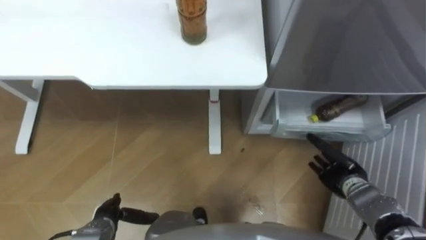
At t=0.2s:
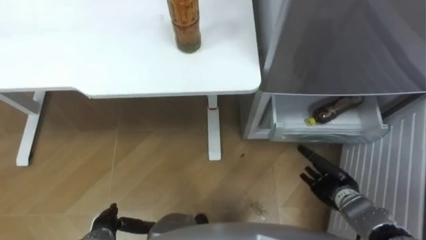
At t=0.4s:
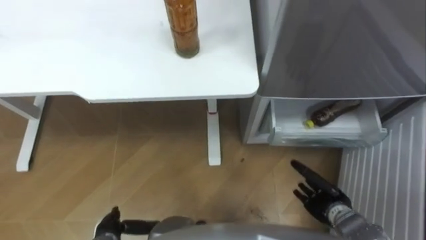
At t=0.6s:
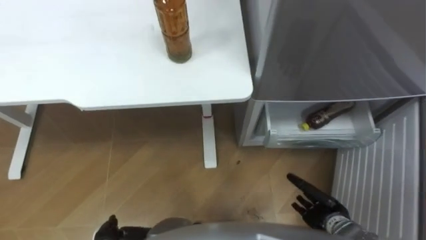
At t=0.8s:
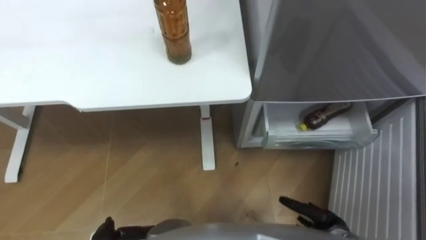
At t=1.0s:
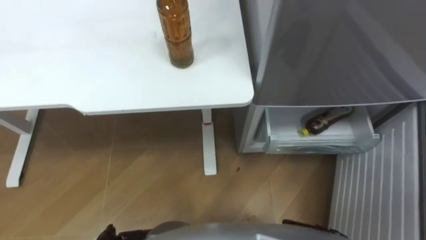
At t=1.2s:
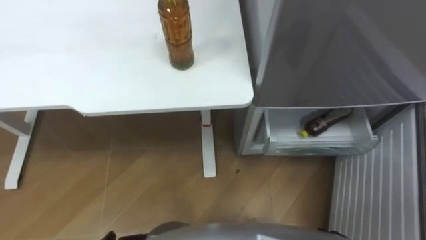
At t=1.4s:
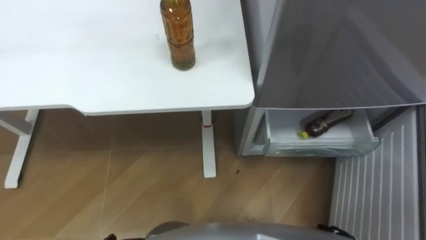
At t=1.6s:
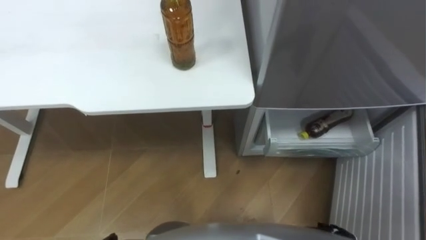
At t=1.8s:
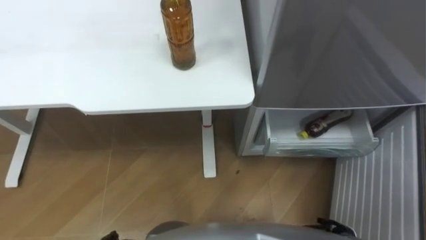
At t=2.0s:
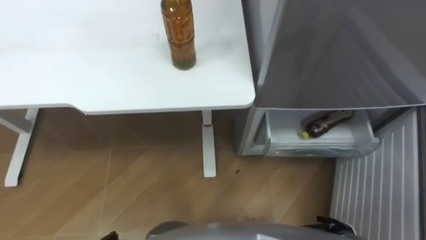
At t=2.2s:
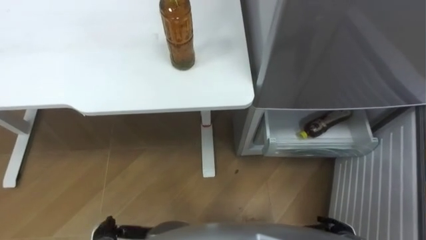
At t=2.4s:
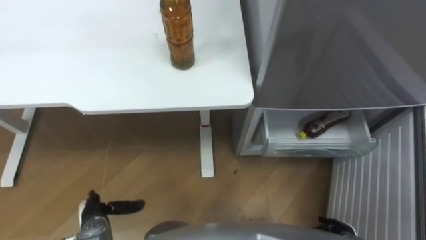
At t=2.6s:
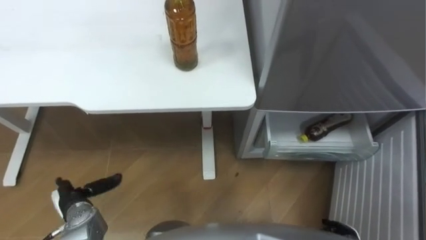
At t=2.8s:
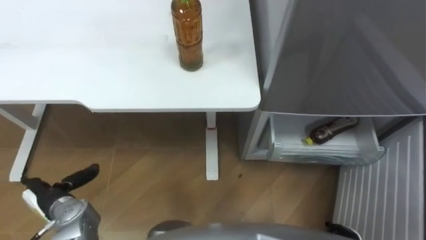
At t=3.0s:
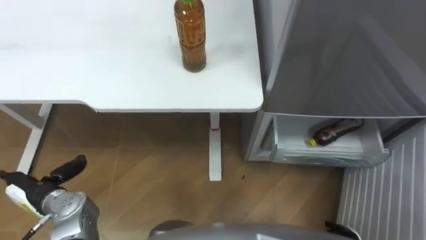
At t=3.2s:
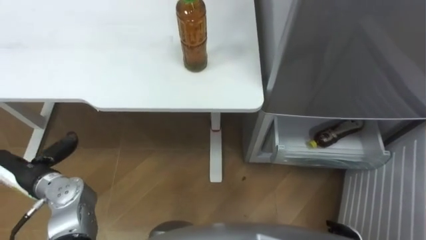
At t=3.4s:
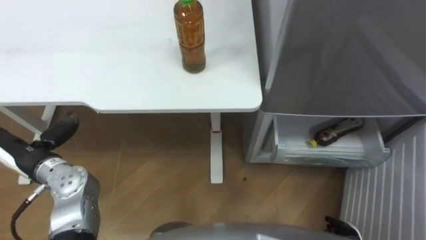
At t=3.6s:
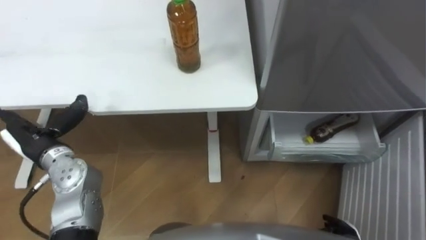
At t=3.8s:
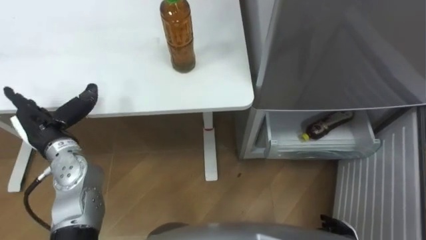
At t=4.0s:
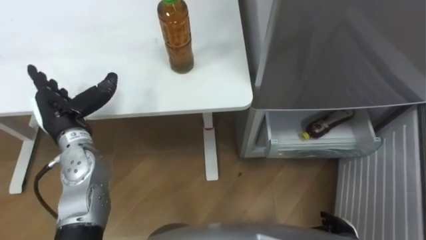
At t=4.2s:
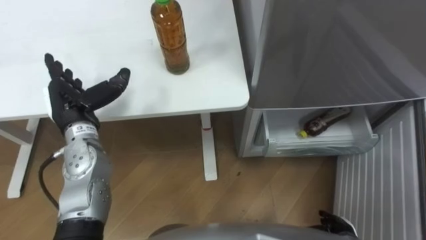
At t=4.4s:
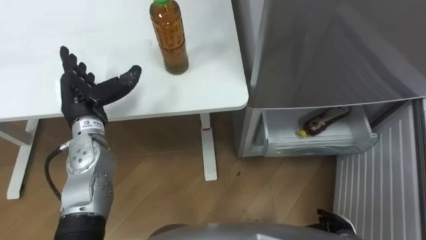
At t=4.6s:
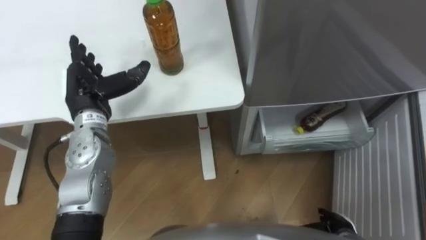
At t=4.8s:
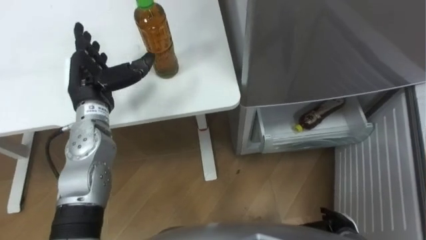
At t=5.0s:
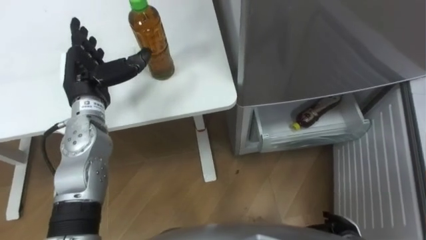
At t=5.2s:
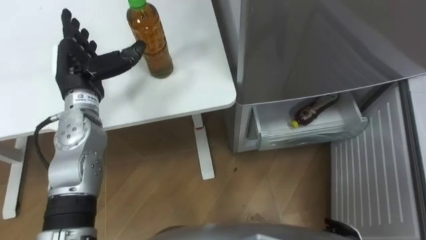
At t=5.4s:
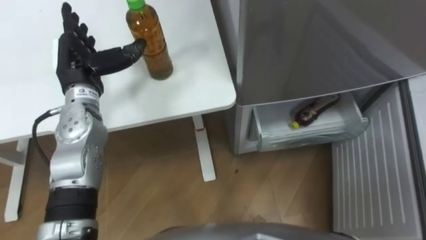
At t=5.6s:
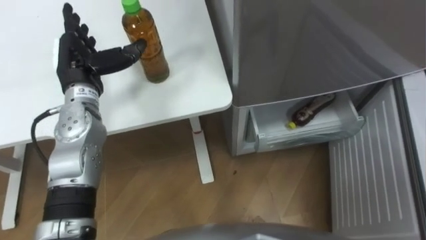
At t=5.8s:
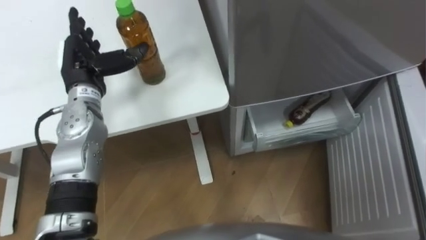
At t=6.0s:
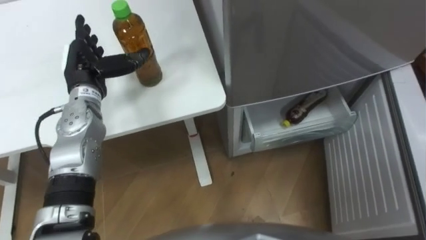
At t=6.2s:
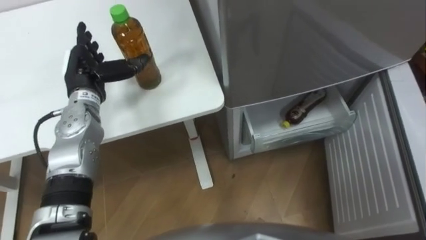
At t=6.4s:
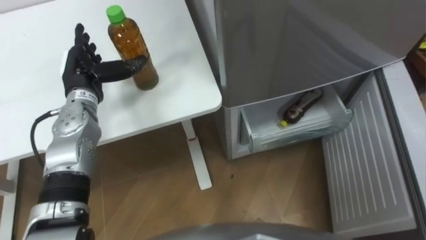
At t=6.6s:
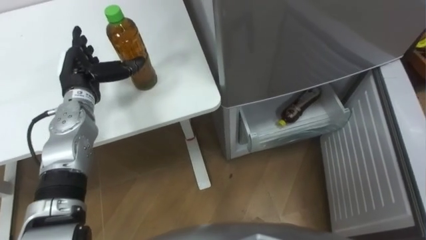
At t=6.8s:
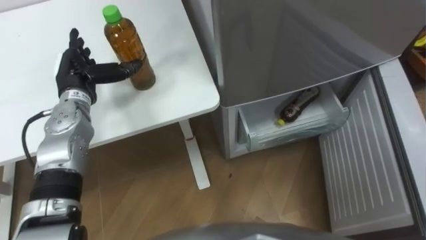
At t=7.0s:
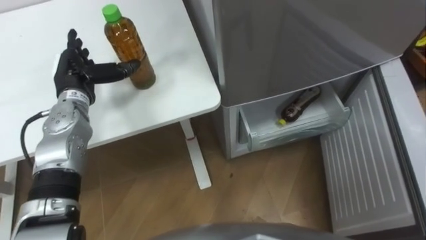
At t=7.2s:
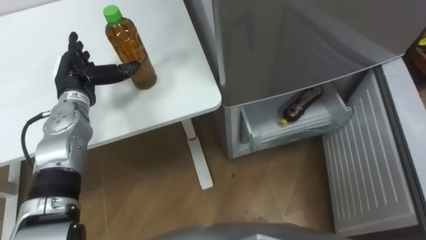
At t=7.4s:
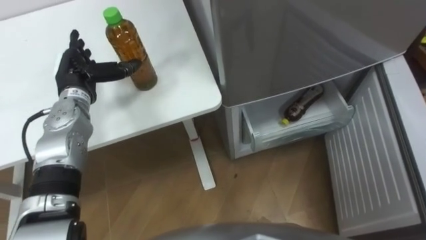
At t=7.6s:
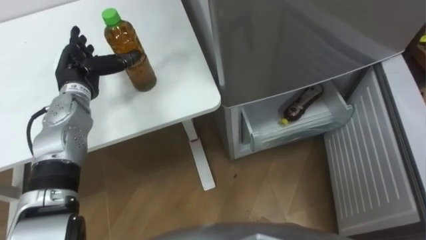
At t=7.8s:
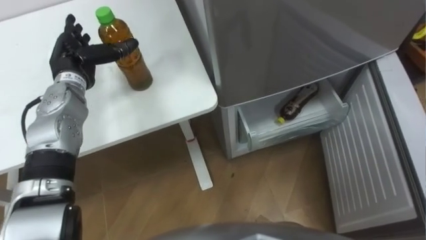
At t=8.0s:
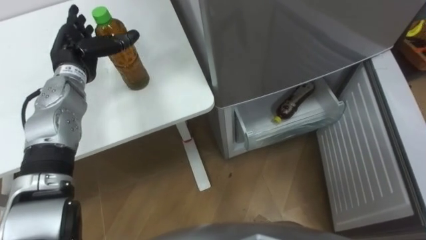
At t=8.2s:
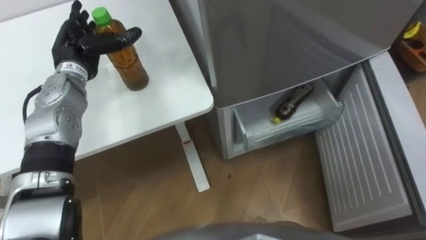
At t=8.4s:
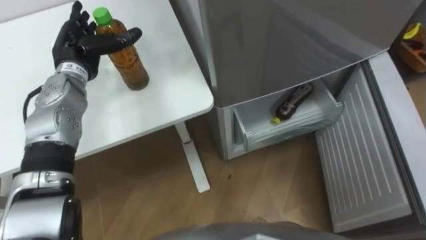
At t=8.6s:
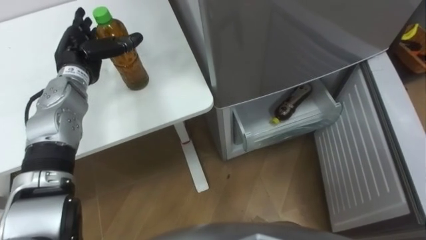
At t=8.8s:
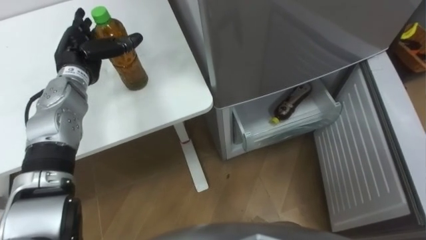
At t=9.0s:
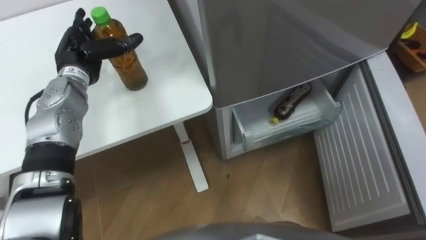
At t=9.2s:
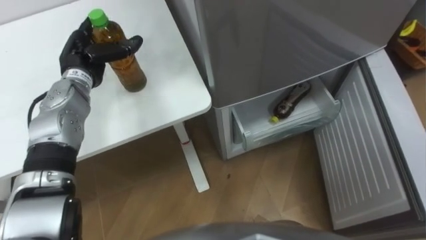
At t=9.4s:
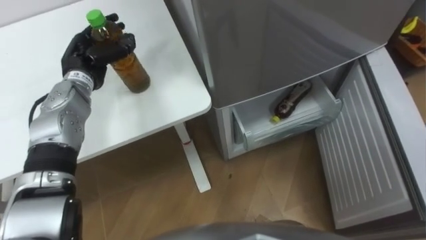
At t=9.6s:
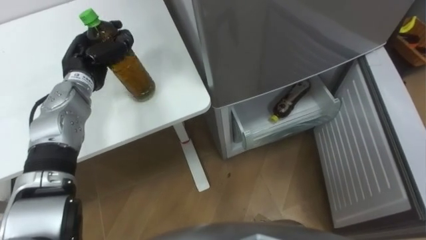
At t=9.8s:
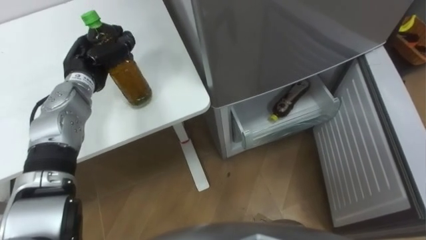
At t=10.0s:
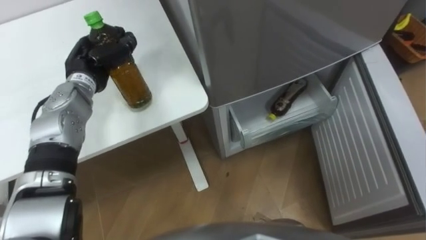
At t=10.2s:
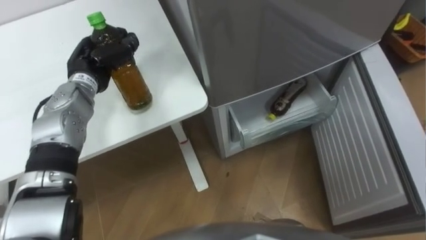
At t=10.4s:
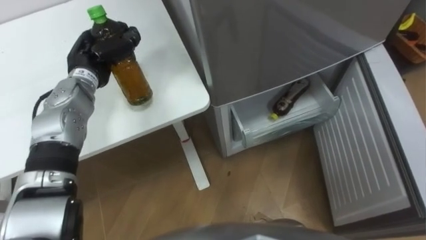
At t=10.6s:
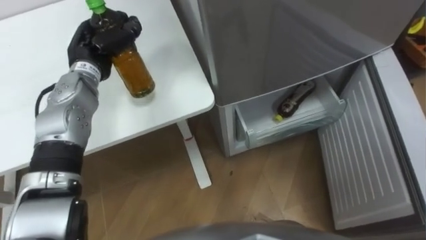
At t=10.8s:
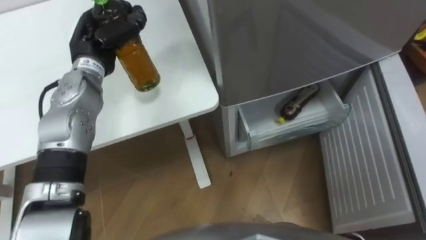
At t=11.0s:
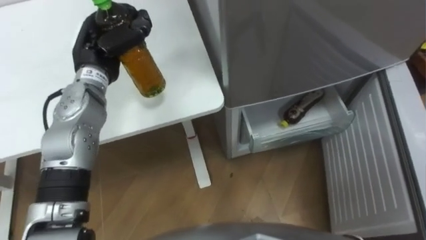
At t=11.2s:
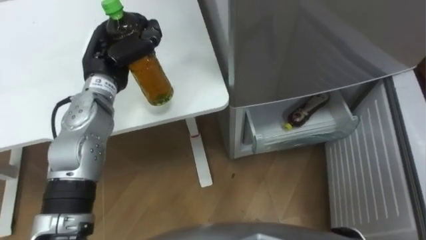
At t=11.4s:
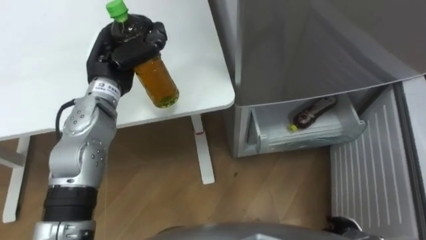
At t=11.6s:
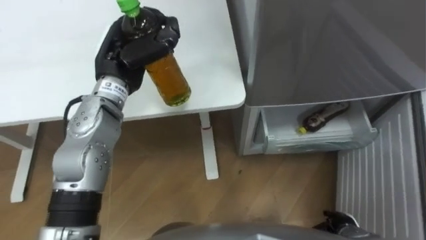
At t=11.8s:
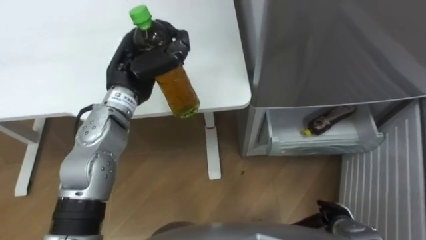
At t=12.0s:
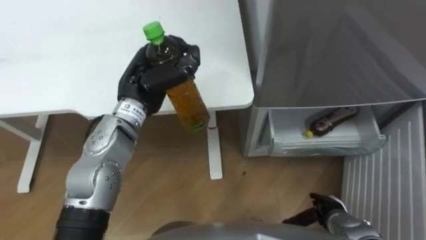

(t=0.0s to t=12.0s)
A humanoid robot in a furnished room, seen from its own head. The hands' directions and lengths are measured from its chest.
Task of the whole recording: Place the drink on the table on the bottom shelf of the refrigerator, then close the drawer and the refrigerator door.
t=3.0s - t=4.4s: The left hand moves forward, upward and to the right, some 20 cm.
t=4.4s - t=6.0s: The left hand goes about 5 cm forward.
t=9.0s - t=10.4s: The left hand closes its fingers.
t=10.4s - t=12.0s: The left hand shifts some 15 cm to the right and backward.

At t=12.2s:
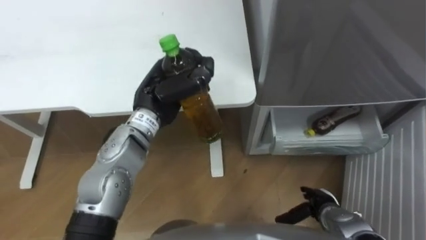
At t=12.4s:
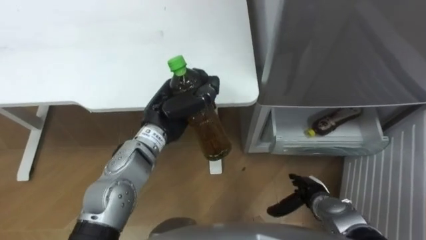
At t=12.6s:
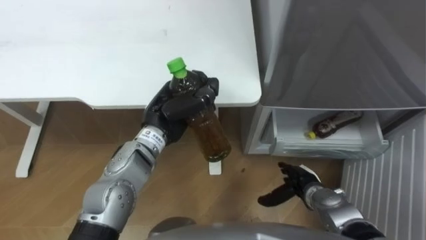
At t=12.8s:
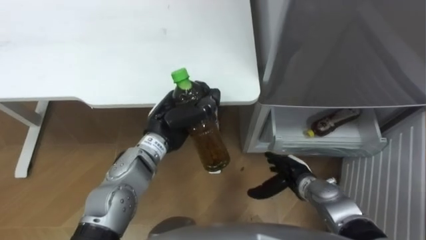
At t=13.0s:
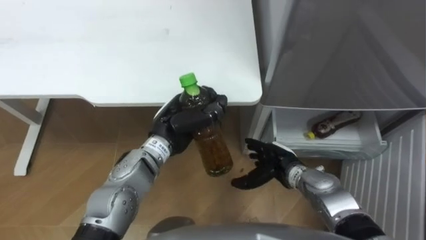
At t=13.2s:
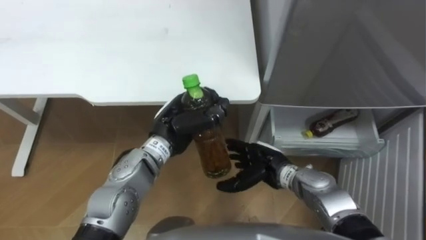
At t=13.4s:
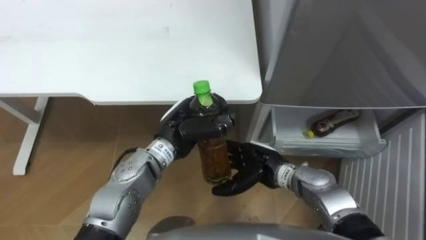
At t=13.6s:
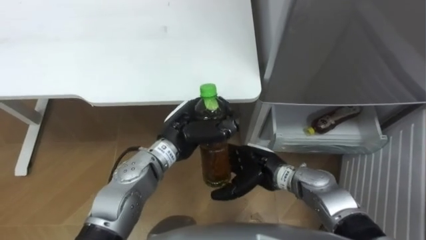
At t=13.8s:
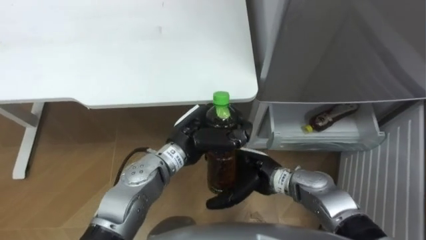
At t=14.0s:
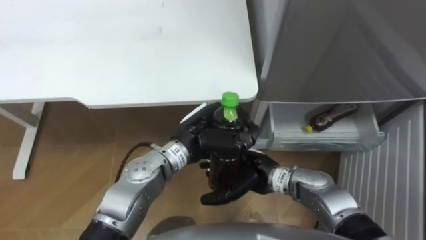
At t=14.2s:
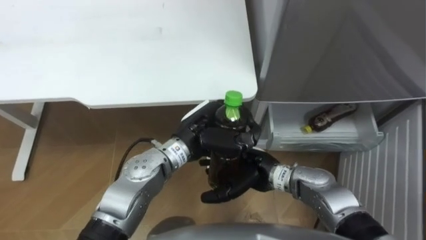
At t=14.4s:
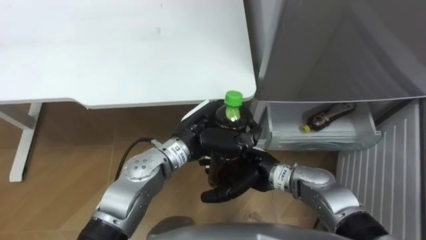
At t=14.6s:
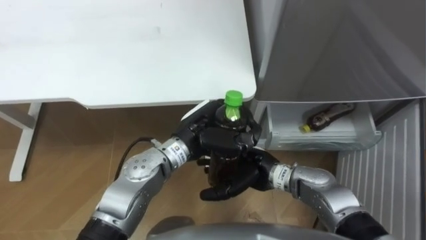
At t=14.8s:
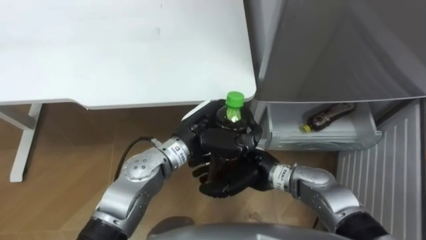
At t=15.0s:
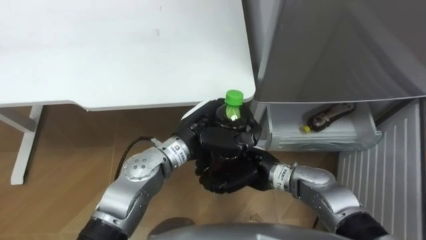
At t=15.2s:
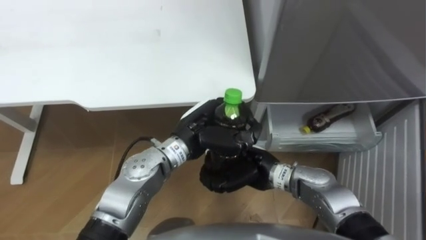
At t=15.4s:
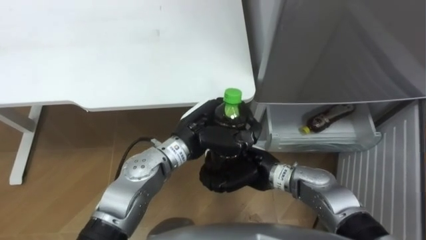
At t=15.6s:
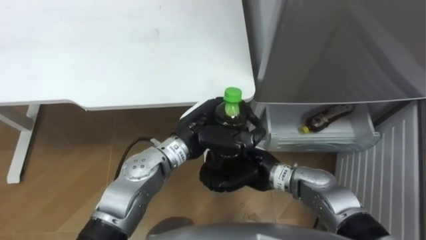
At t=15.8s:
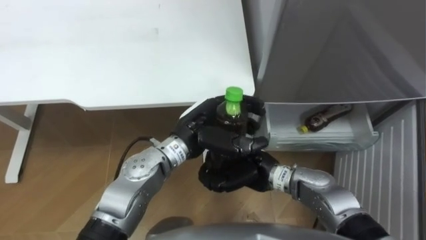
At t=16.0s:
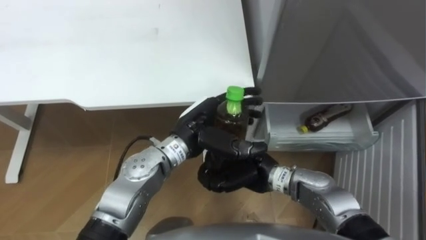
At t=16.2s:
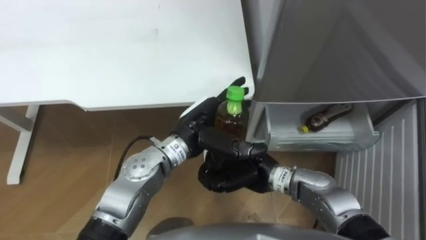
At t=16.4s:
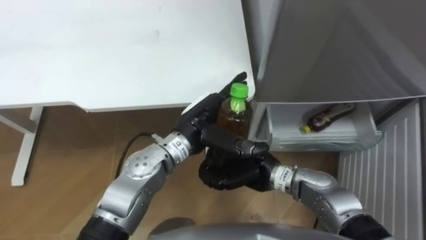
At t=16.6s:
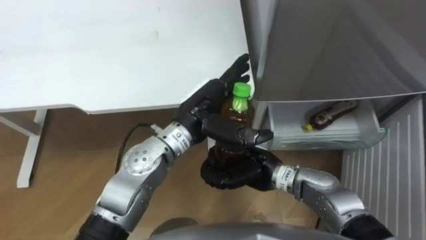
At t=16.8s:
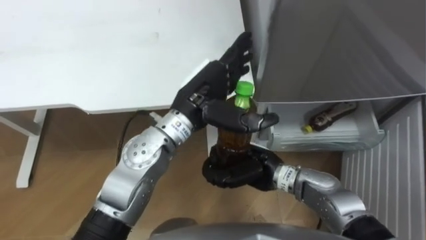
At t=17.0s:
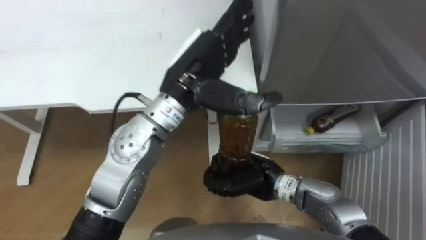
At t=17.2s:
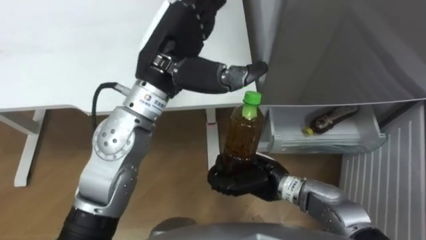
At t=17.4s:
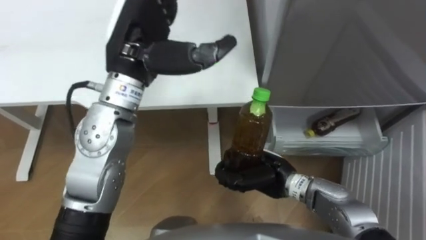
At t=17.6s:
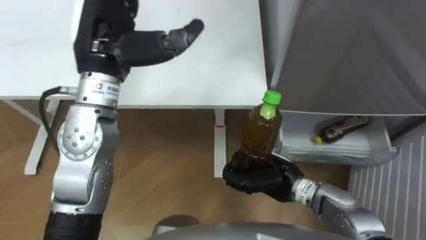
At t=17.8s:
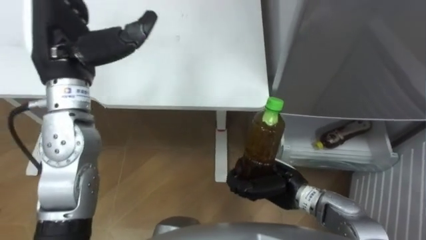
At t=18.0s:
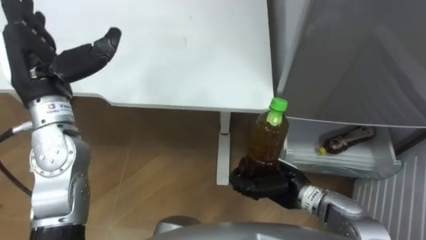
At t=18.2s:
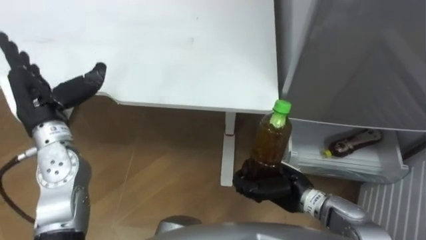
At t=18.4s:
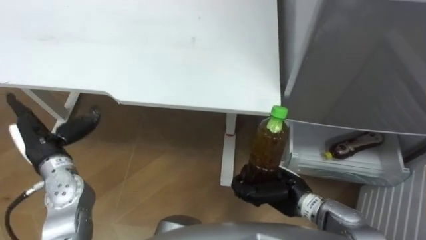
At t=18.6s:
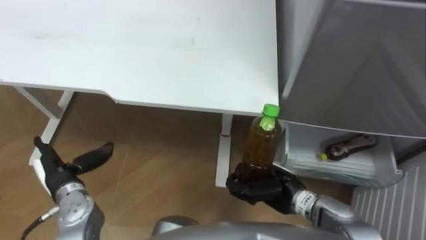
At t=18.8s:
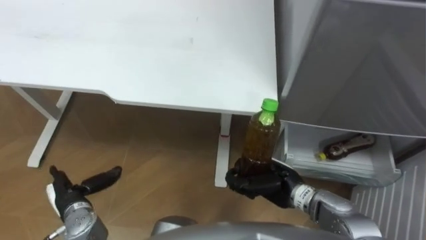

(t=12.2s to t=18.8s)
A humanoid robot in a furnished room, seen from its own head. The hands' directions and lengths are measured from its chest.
Task of the whole recording: Place the drink on the table on the bottom shelf of the refrigerator, then close the drawer and the refrigerator door.
t=12.2s - t=13.8s: The right hand shifts some 20 cm to the left, upward and forward. Meanwhile the left hand moves to the right, downward and backward, about 10 cm.
t=13.8s - t=15.4s: The right hand closes up.
t=15.4s - t=17.2s: The left hand heads upward, covering roughly 15 cm, and opens.
t=17.2s - t=18.8s: The right hand changes place by roughly 5 cm. Meanwhile the left hand goes about 40 cm downward, to the left and backward.
